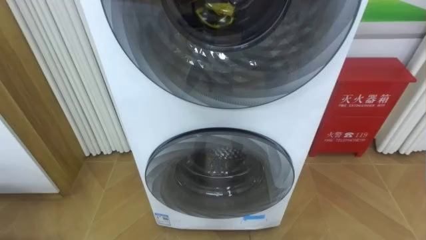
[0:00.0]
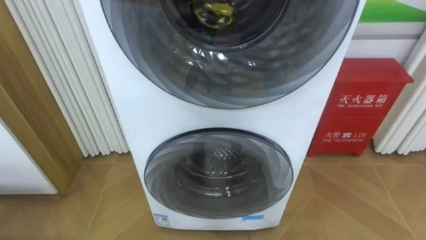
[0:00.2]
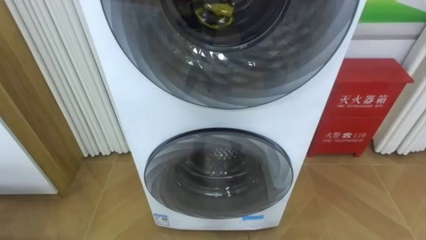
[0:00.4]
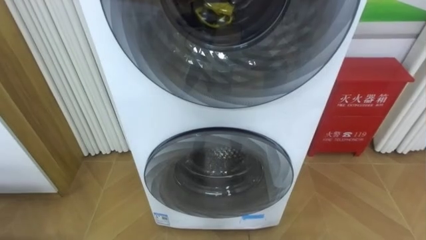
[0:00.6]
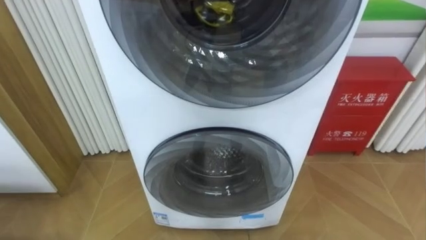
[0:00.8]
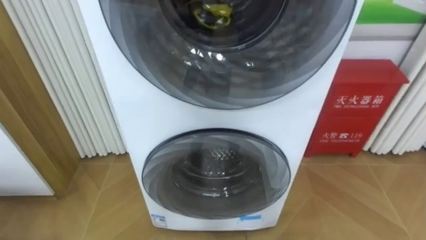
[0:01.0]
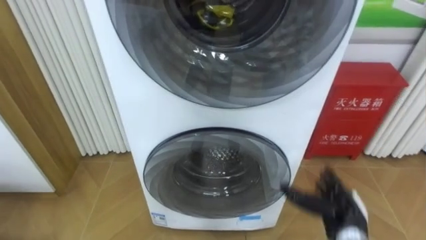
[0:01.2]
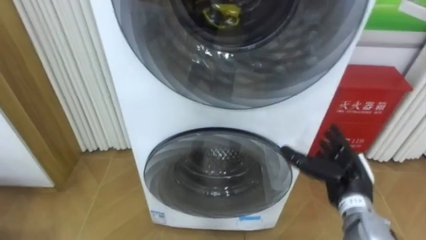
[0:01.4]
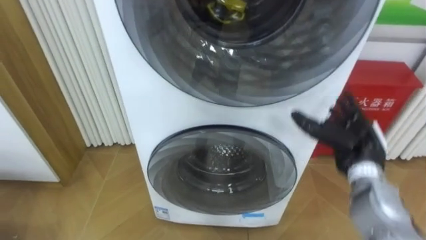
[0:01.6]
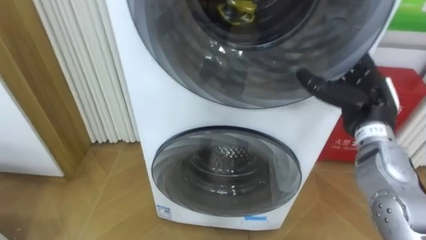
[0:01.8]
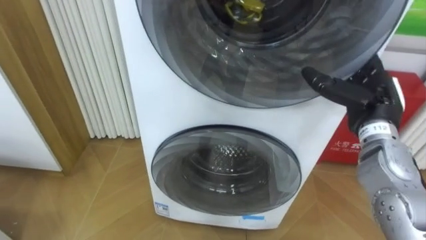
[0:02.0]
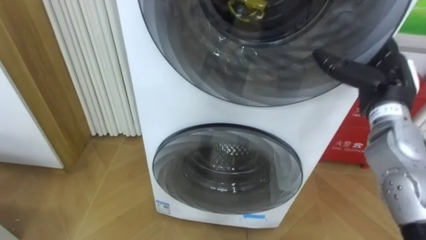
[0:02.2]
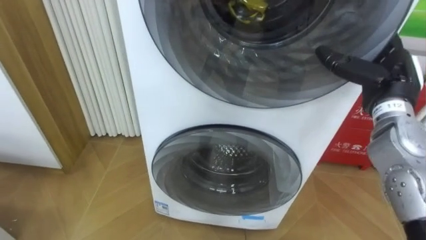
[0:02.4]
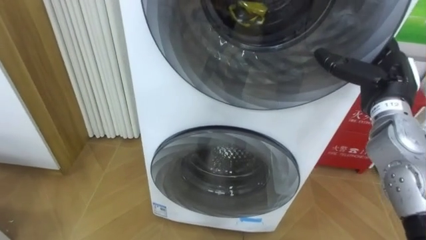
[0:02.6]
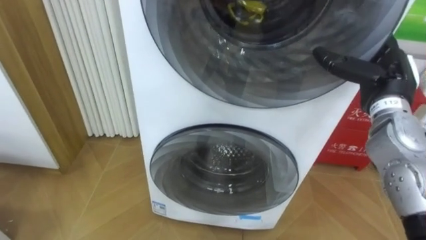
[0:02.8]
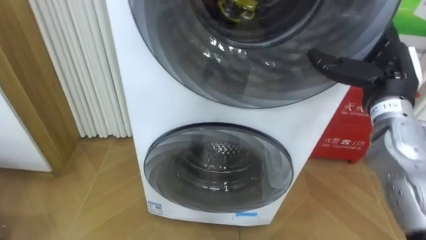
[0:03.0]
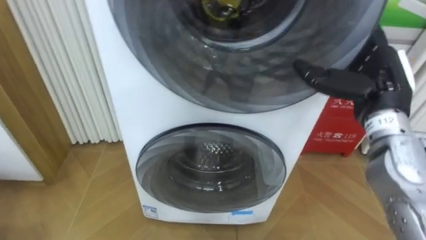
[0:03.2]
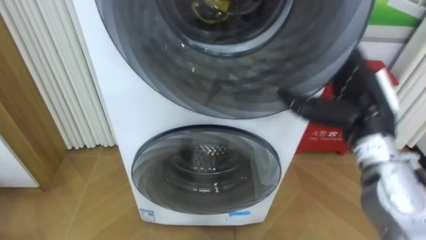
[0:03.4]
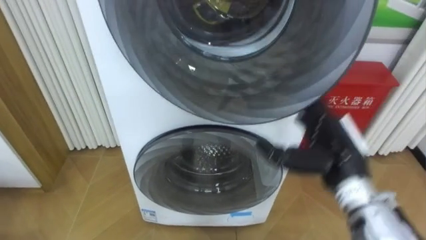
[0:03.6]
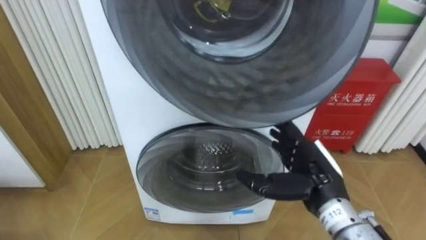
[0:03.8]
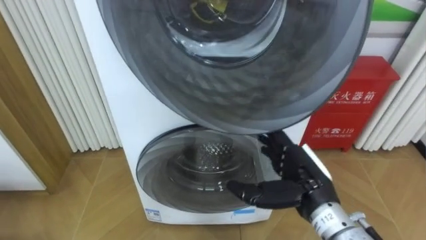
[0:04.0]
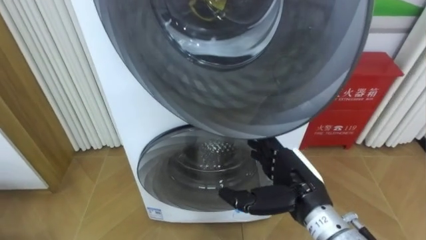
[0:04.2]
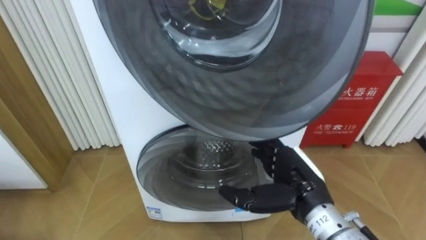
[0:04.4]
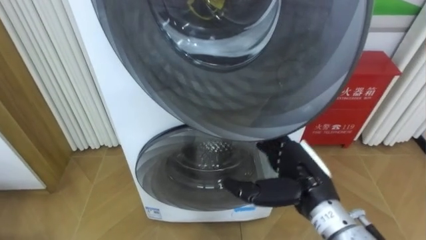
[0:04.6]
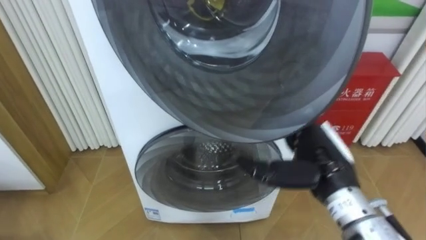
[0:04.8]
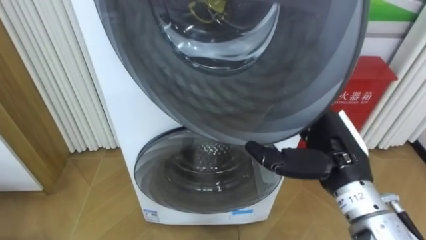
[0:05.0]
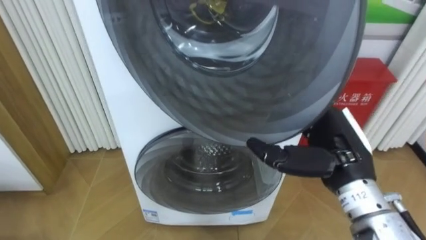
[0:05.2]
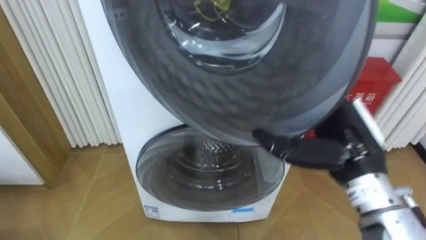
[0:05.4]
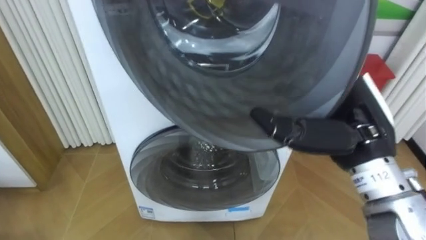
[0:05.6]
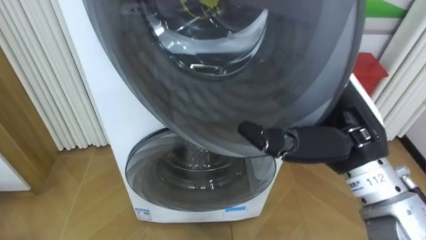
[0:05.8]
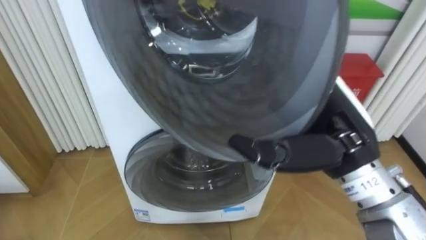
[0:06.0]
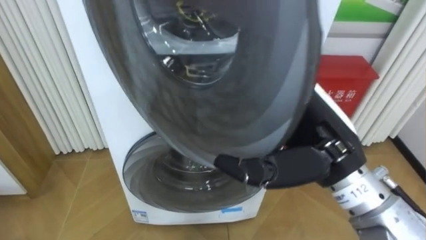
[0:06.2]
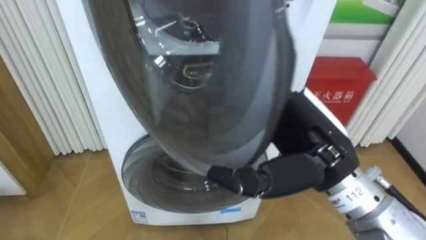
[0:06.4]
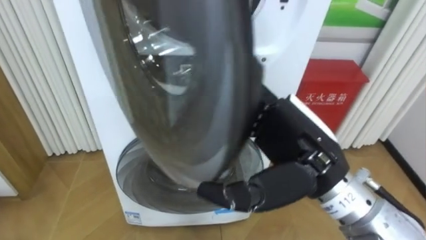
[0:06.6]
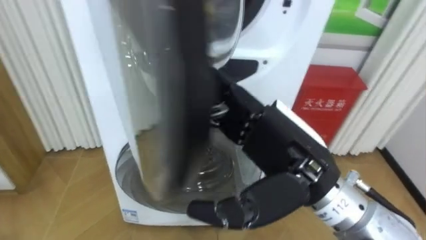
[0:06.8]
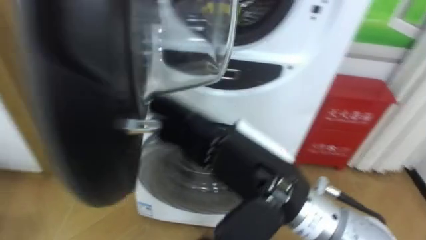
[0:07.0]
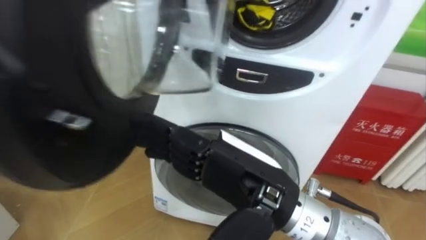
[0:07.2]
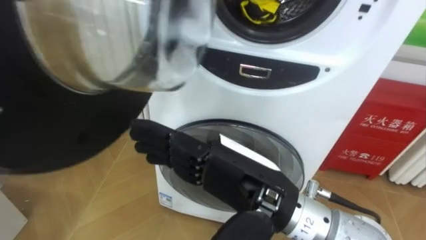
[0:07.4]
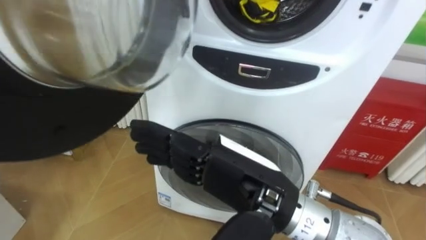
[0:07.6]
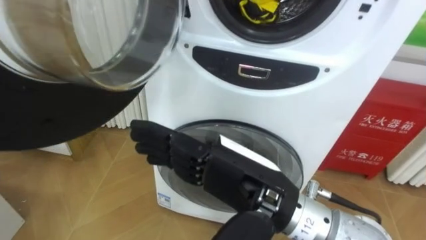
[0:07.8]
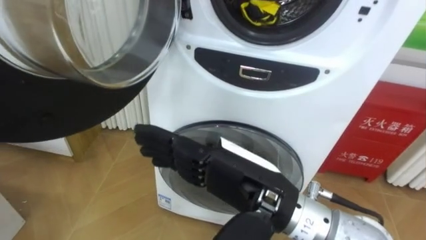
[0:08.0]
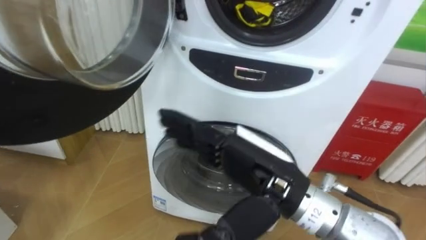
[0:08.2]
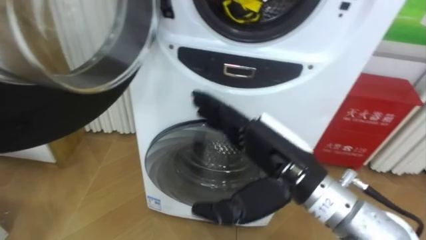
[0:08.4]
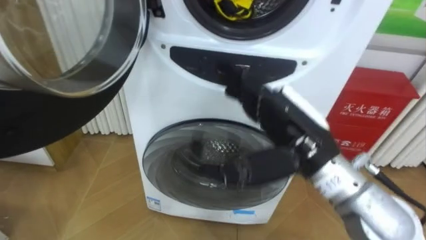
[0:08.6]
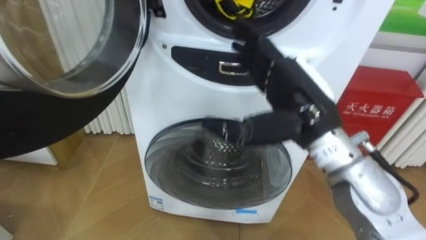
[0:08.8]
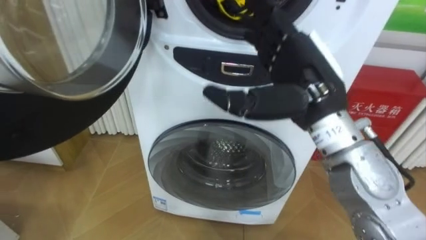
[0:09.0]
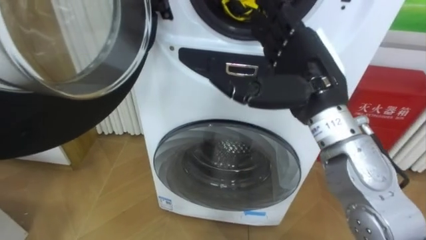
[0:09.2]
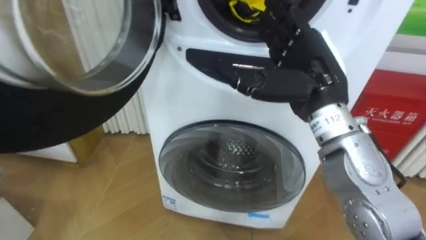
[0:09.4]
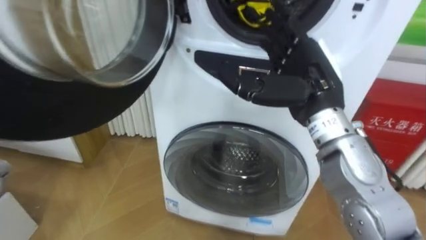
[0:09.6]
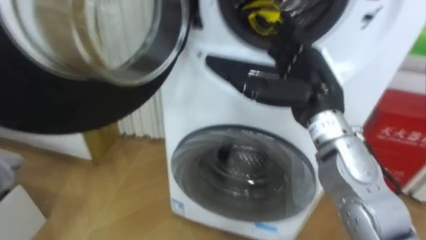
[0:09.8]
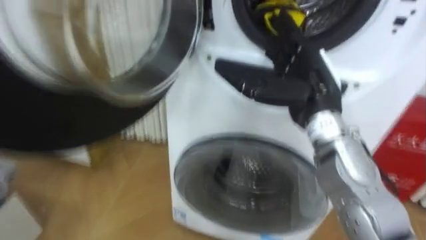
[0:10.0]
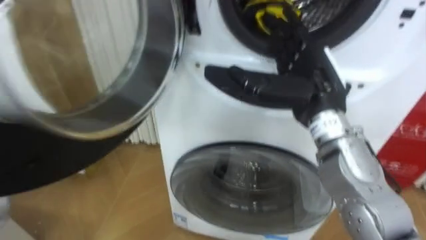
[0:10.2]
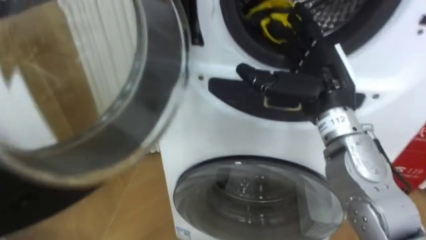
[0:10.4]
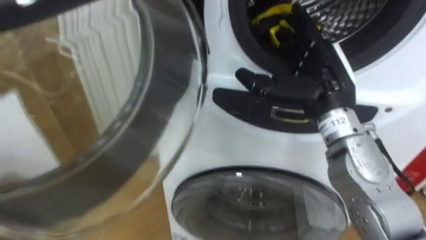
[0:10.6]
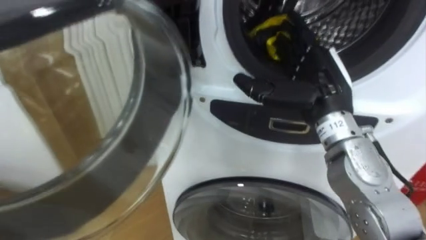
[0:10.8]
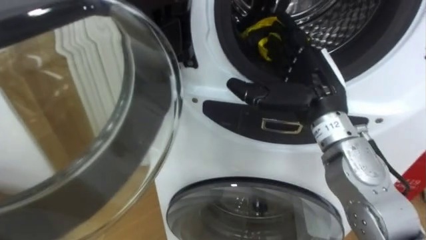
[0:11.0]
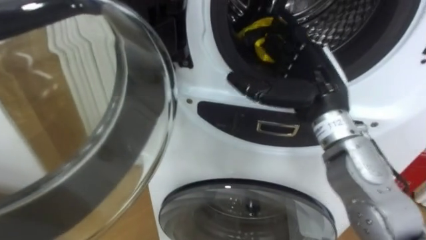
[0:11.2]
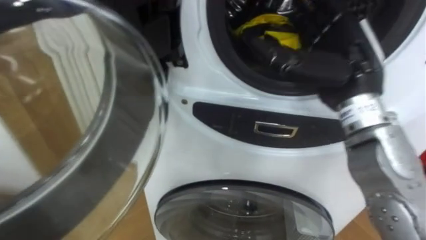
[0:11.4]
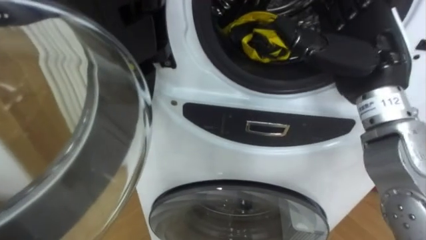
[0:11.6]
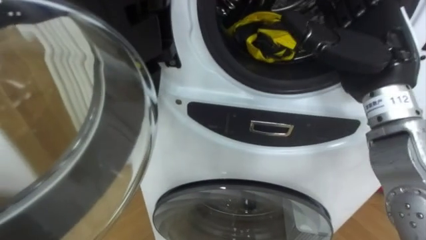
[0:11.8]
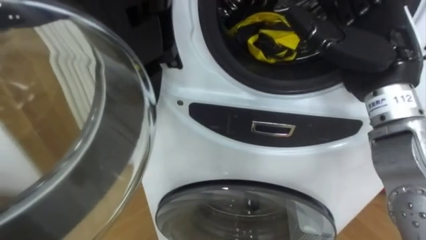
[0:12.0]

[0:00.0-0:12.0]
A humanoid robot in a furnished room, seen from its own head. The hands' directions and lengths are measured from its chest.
Task of the whole recording: Open the washing machine door, take out the yellow clothes, place them in the box on the right, and close the washing machine door.
0:01.6 to 0:03.0: The right hand travels upward by approximately 10 cm.
0:03.0 to 0:04.4: The right hand goes roughly 20 cm to the left, downward and backward.
0:04.4 to 0:06.0: The right hand goes some 15 cm upward.
0:06.0 to 0:07.6: The right hand shifts approximately 15 cm to the left and backward.
0:07.6 to 0:09.0: The right hand travels forward, to the right and upward by about 15 cm.
0:09.0 to 0:10.4: The right hand moves some 5 cm.
0:10.4 to 0:12.0: The right hand heads upward, covering roughly 5 cm.

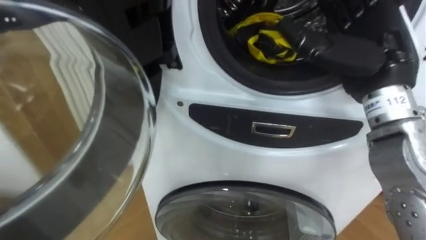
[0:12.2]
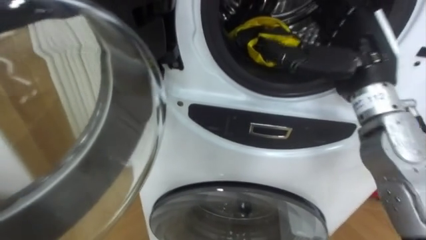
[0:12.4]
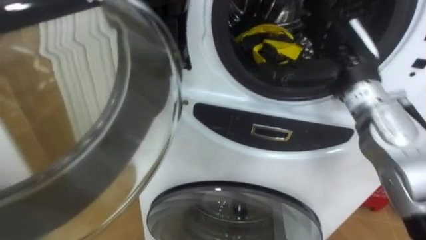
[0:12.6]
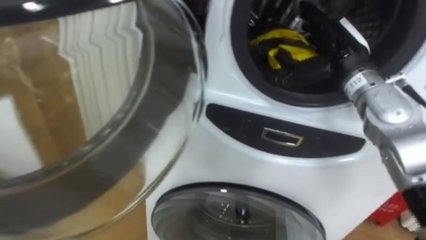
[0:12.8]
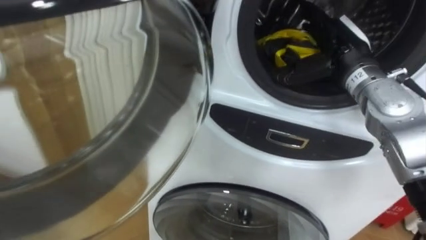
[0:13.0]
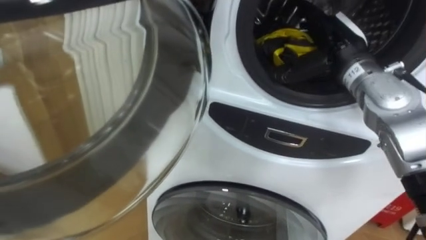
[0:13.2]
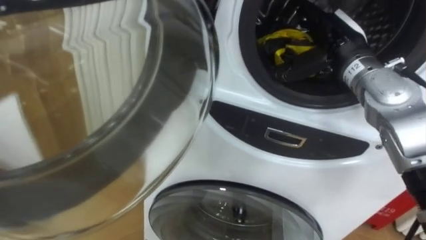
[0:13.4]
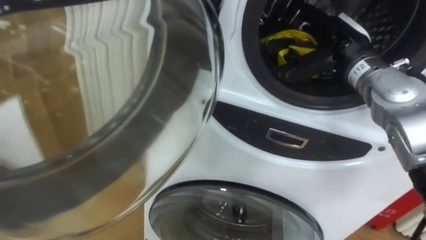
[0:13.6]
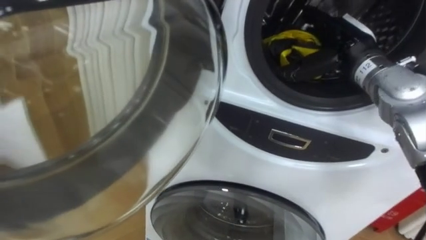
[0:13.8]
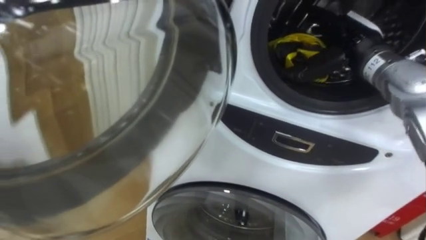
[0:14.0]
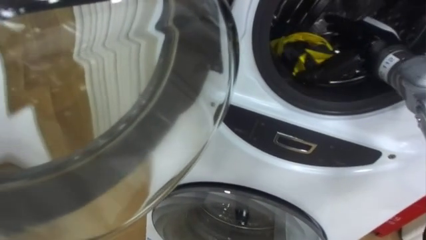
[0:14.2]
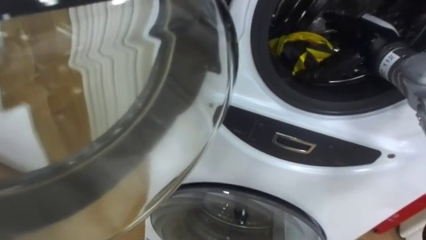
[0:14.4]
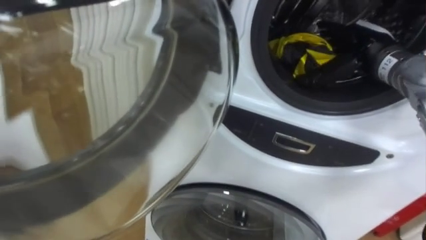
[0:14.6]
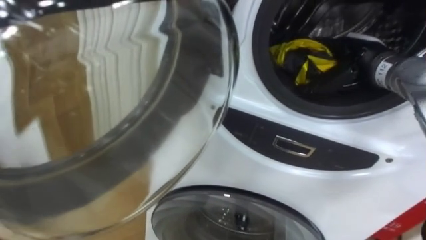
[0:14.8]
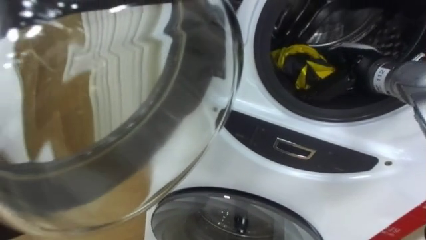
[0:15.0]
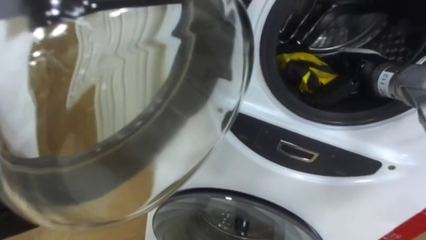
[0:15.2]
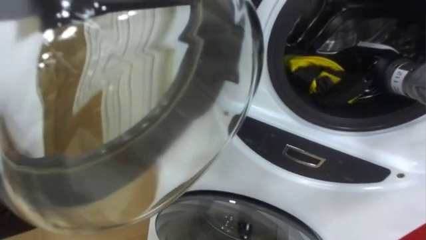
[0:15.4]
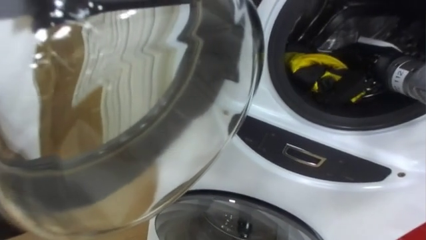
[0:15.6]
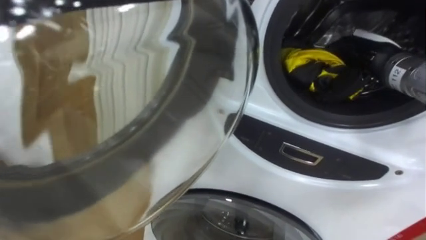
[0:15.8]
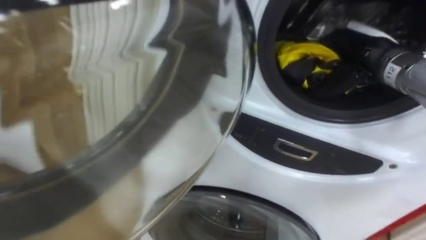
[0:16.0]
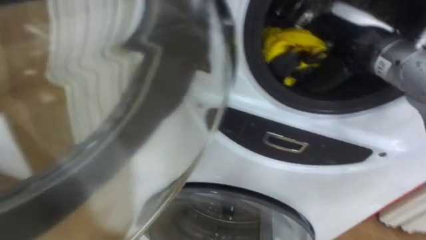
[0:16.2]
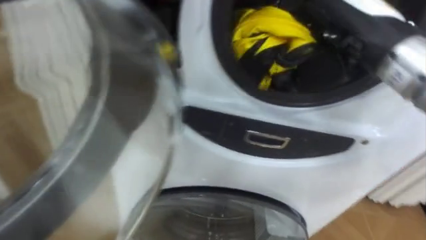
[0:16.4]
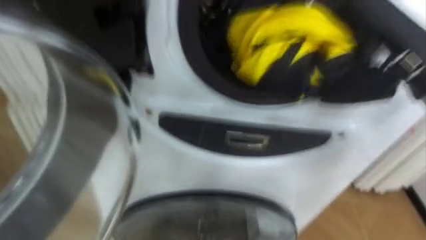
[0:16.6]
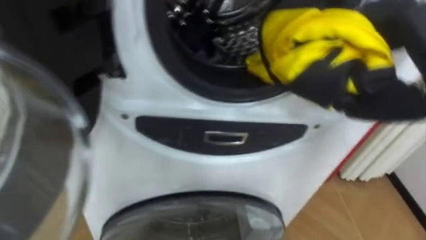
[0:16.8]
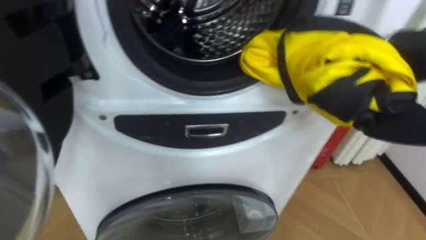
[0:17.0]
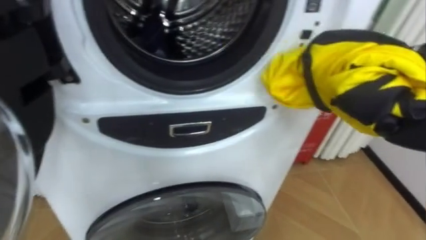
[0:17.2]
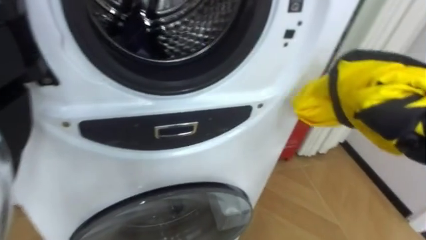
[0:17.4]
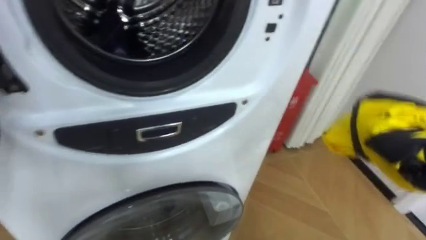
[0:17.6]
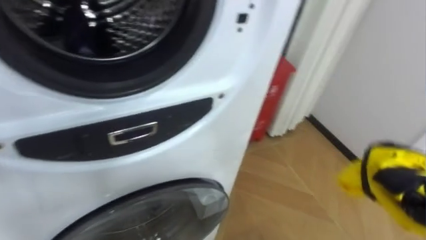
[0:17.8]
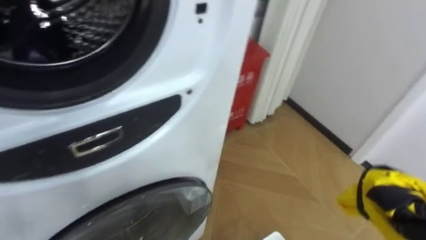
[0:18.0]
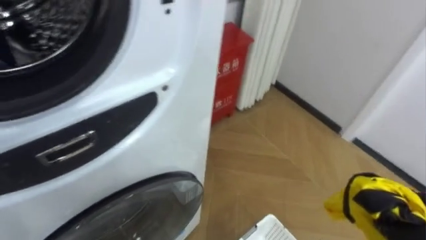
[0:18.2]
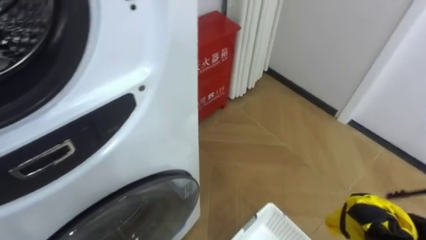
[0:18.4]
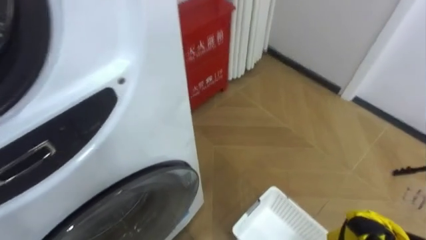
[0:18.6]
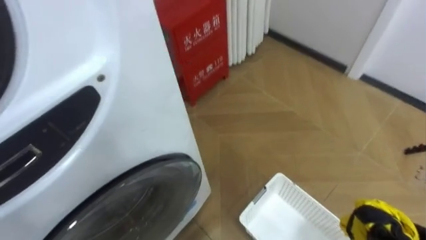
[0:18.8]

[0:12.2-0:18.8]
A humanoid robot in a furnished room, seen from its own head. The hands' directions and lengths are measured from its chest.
Task of the whole recording: Open the washing machine door, take out the yellow clothes, place them in the box on the right, and close the washing machine door.
0:12.2 to 0:13.8: The right hand heads forward, covering approximately 10 cm.
0:13.8 to 0:15.4: The right hand travels to the right by about 5 cm, and closes.
0:17.2 to 0:18.8: The robot faces some 20 degrees further to its right.
